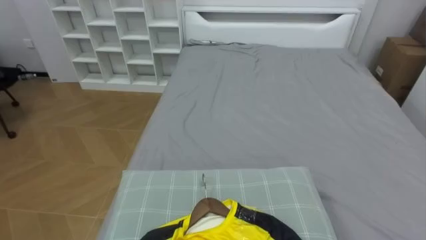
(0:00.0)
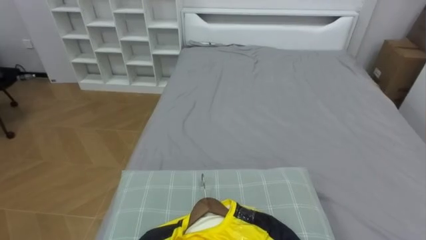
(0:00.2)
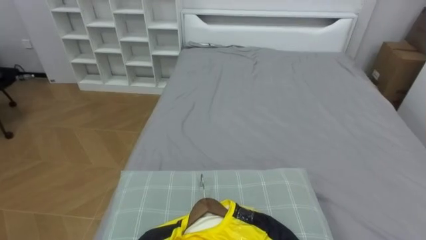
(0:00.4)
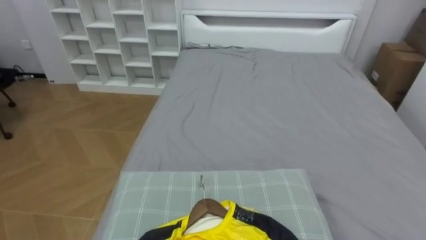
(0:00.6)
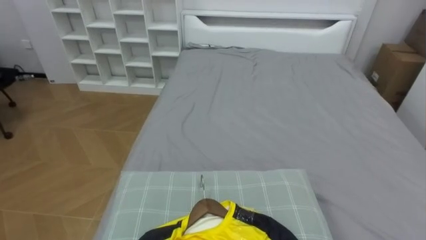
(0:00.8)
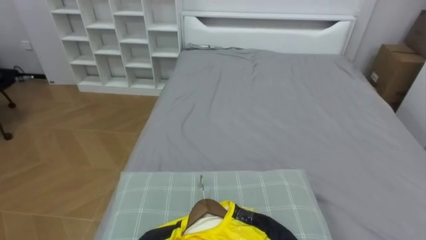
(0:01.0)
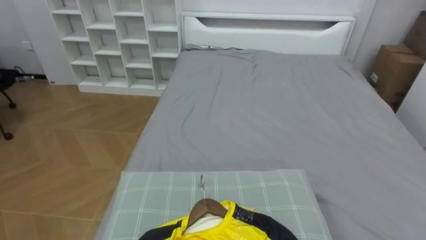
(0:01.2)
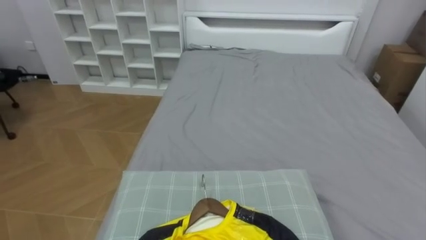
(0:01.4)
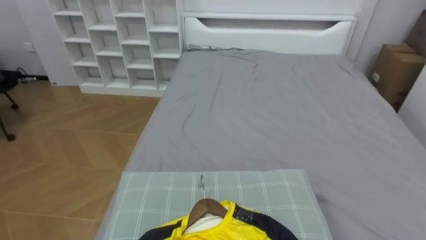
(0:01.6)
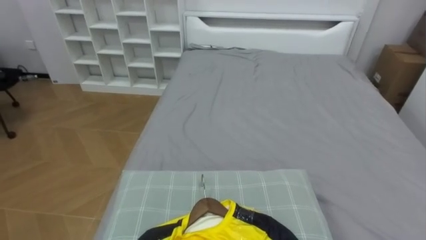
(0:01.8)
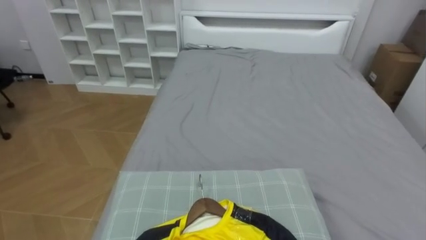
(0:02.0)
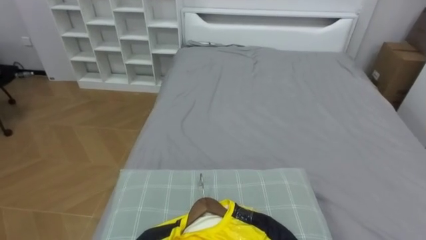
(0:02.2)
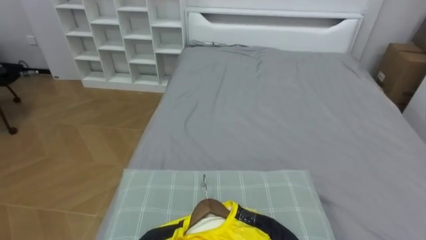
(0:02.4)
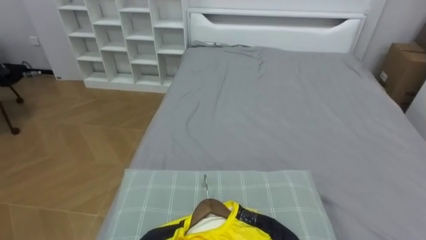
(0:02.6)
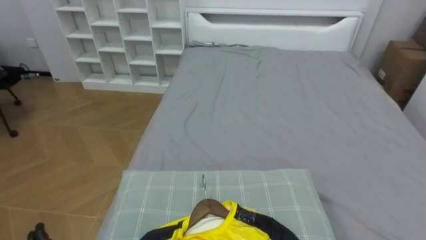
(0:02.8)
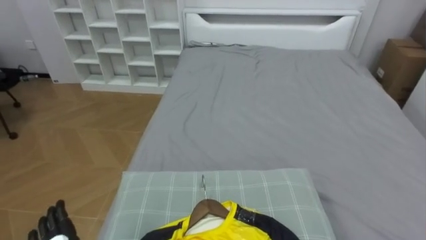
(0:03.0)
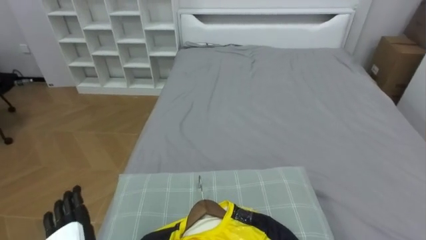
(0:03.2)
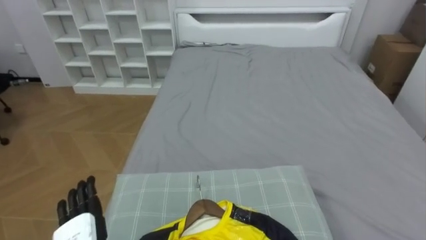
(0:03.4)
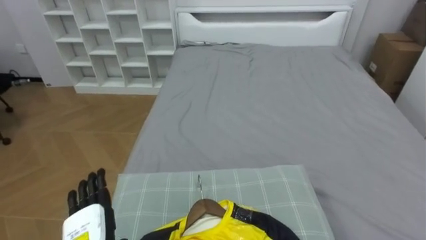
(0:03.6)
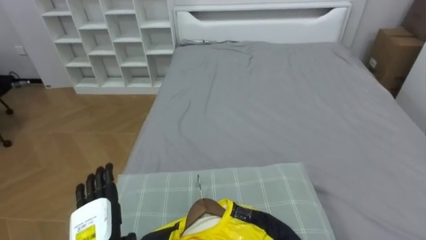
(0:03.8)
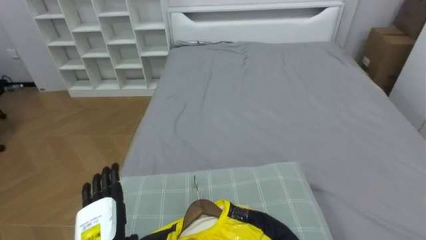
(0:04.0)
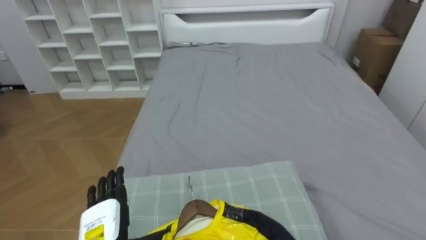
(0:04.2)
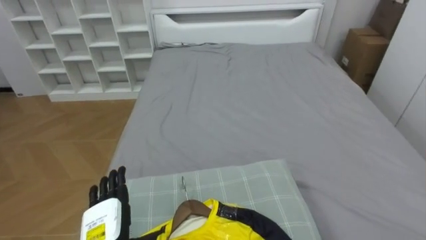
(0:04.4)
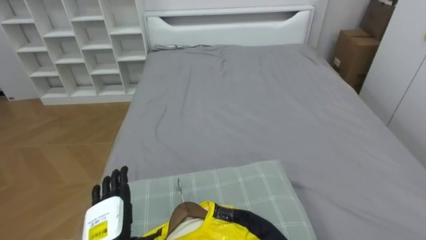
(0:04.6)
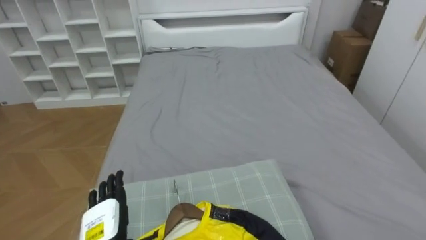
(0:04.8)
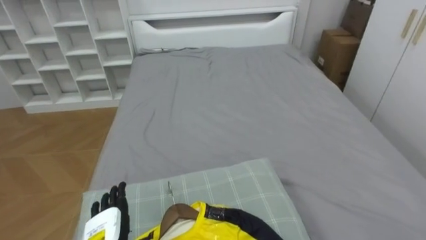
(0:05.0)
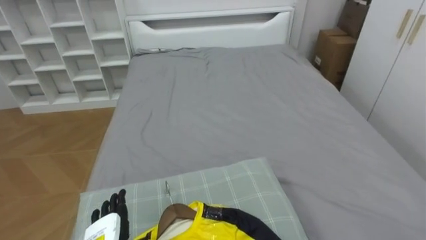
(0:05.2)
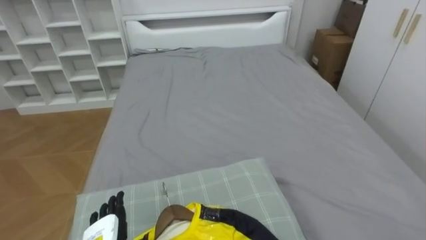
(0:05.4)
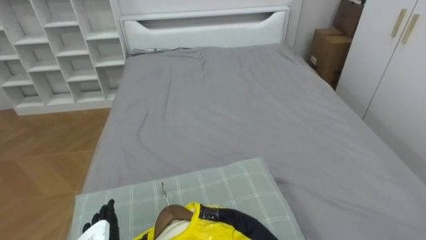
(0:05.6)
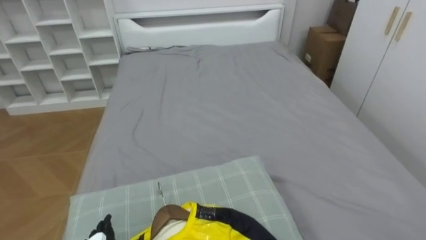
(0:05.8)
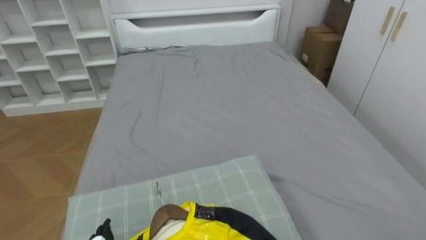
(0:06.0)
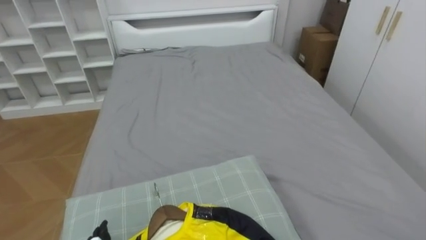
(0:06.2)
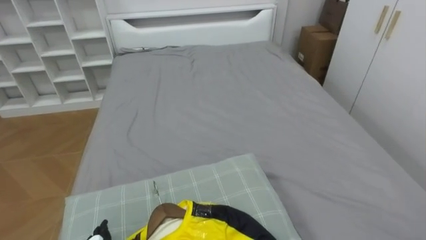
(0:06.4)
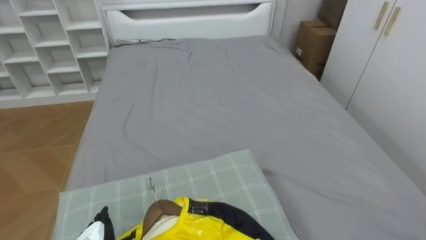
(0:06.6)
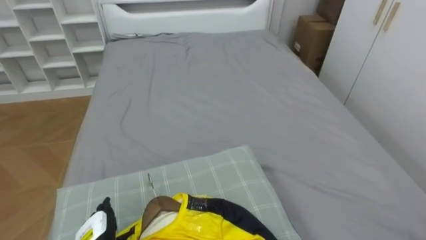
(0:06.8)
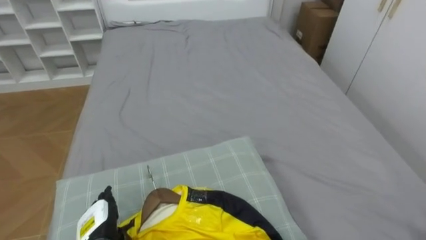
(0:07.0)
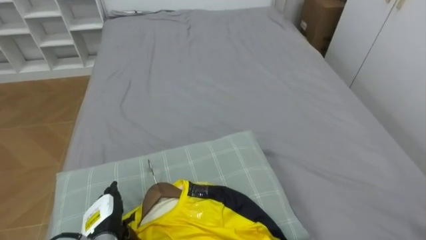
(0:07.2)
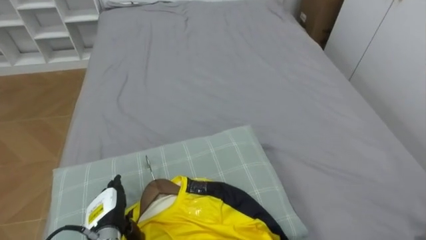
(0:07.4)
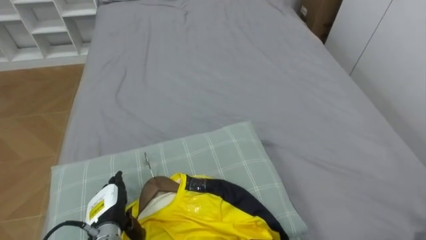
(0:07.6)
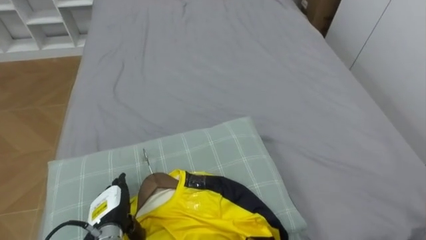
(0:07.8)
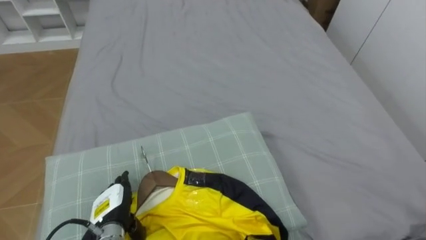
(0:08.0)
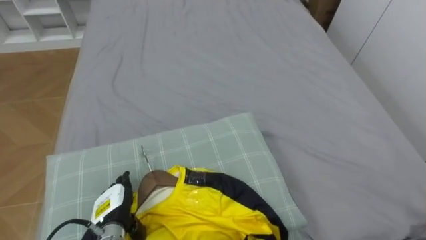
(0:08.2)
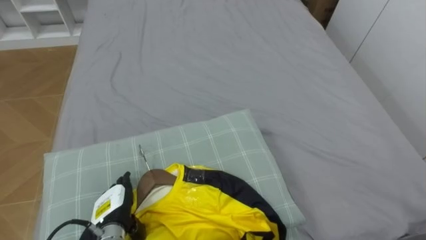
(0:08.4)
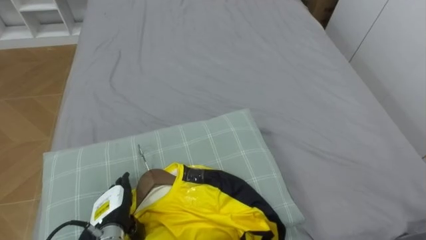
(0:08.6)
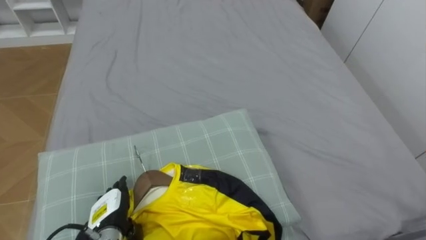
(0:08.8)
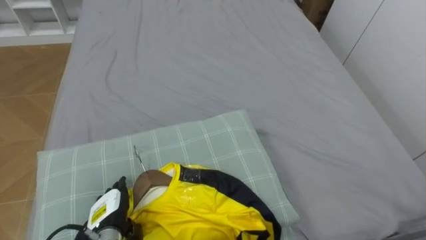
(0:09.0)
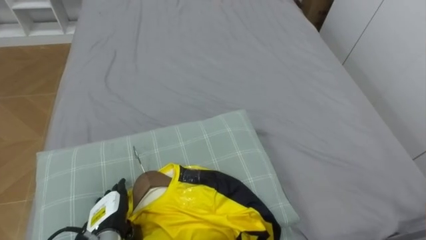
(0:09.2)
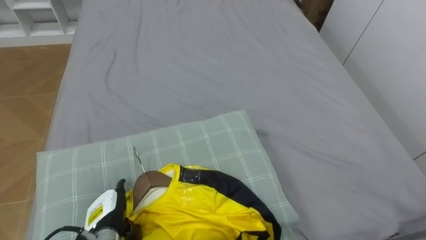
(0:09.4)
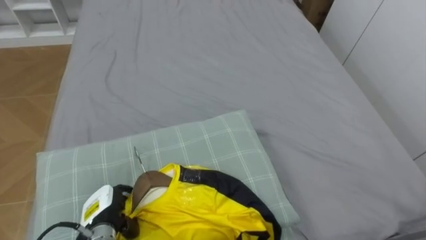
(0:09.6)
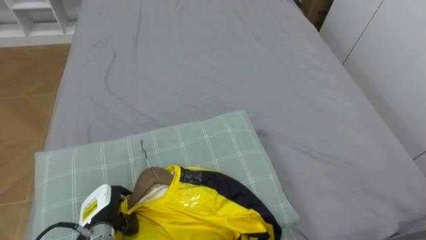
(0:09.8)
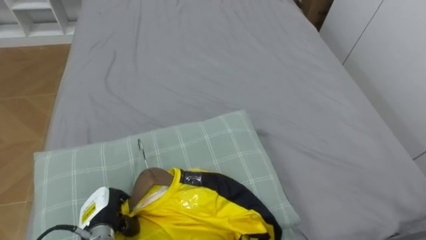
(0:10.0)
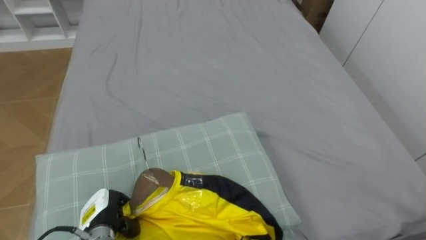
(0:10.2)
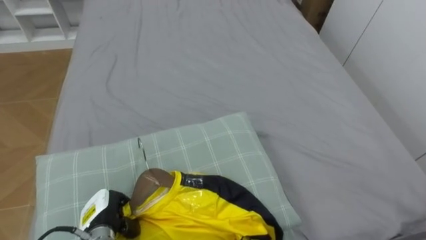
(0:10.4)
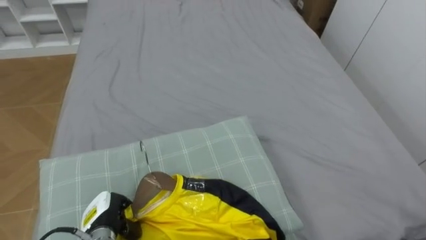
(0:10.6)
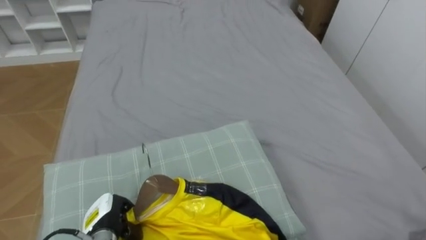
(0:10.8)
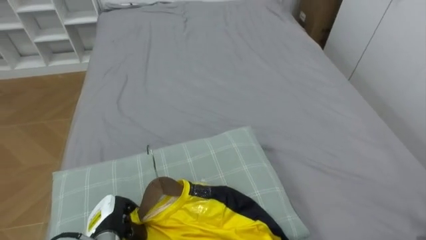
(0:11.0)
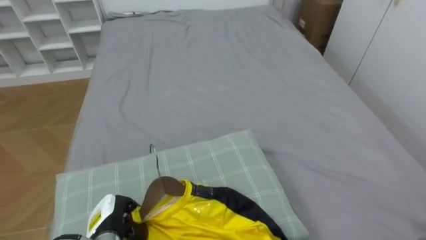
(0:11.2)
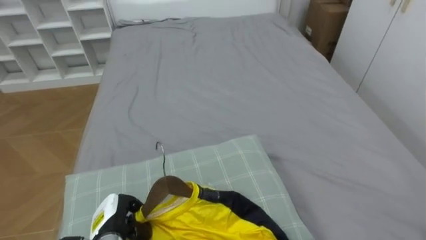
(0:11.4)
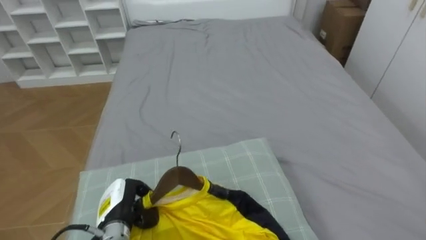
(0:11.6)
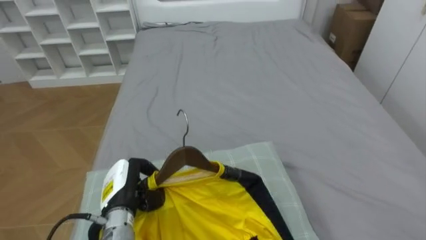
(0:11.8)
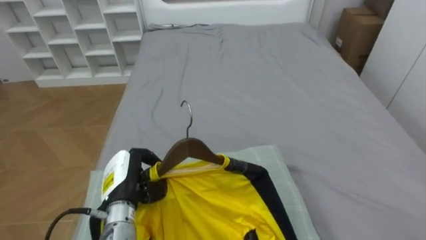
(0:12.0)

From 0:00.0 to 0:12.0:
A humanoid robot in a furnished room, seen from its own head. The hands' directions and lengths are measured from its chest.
Task of the whole recording: Pick up the yellow shirt on the bed and hang it on the clothes rack on the right.
From 0:09.0 to 0:10.4: The left hand closes its fingers.
From 0:10.4 to 0:12.0: The left hand goes some 10 cm upward and to the right.

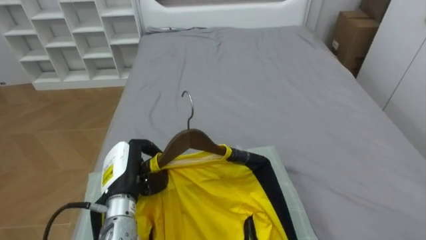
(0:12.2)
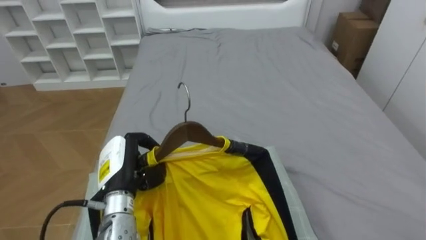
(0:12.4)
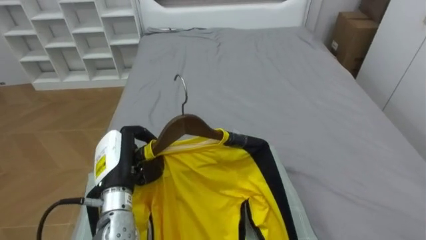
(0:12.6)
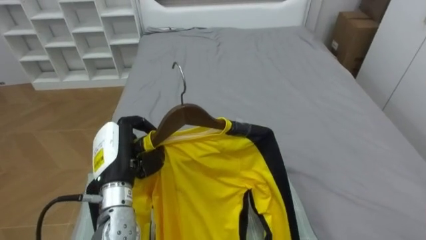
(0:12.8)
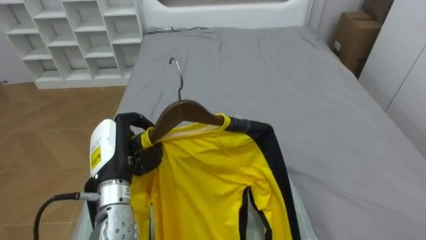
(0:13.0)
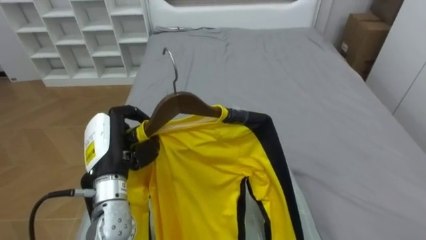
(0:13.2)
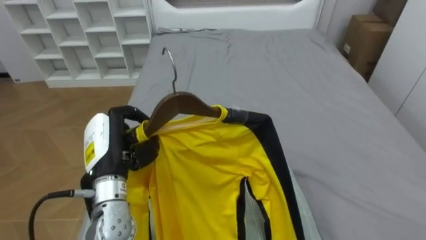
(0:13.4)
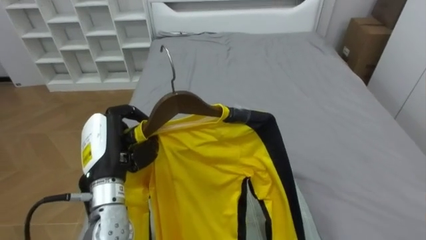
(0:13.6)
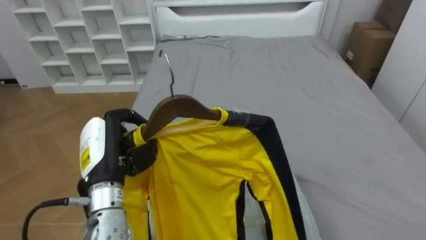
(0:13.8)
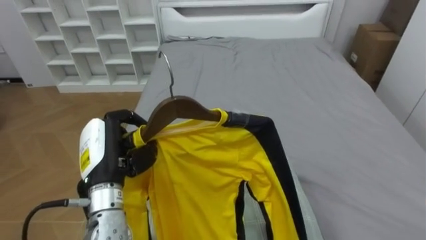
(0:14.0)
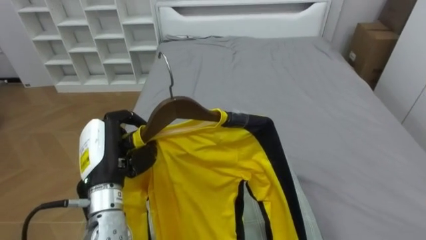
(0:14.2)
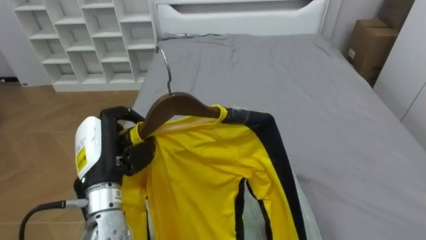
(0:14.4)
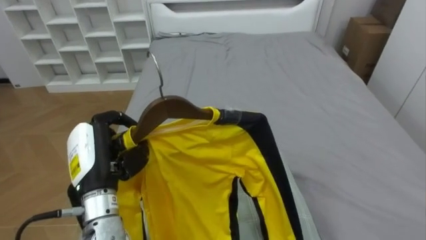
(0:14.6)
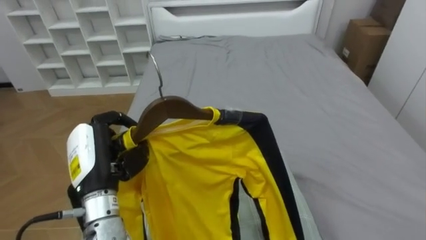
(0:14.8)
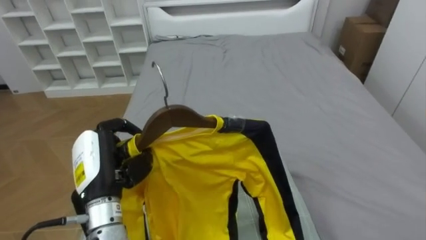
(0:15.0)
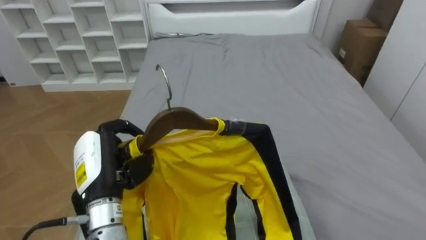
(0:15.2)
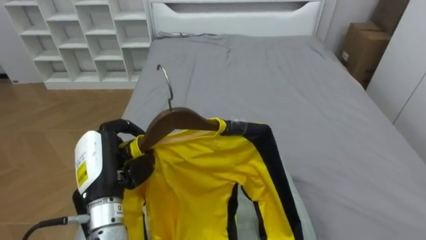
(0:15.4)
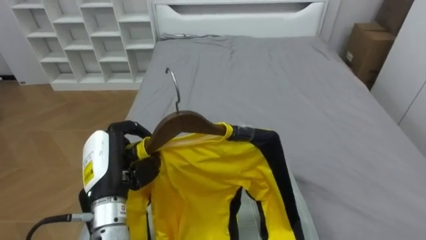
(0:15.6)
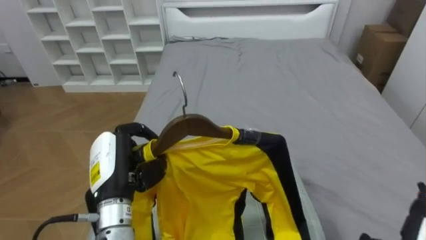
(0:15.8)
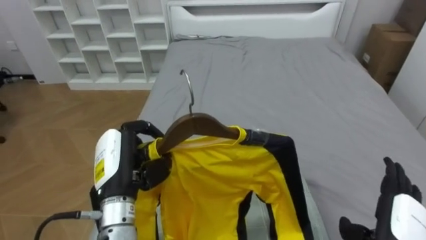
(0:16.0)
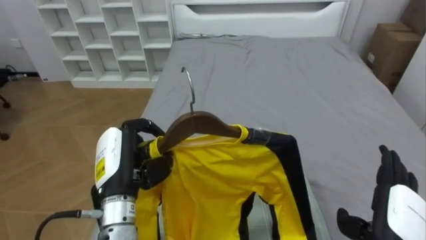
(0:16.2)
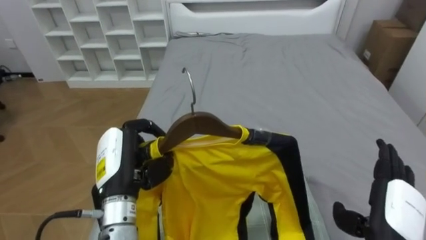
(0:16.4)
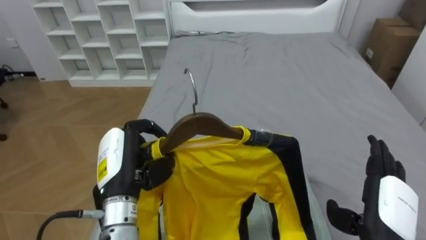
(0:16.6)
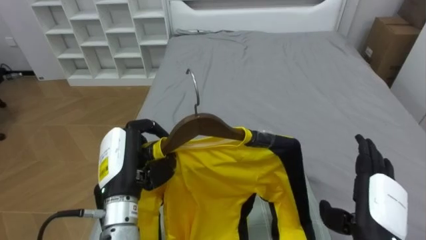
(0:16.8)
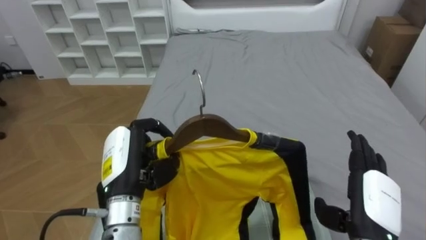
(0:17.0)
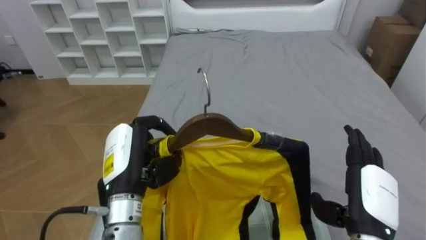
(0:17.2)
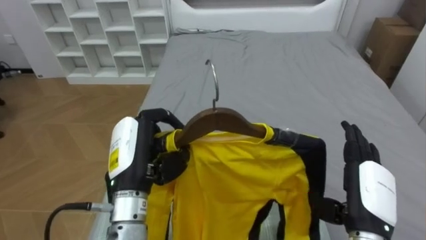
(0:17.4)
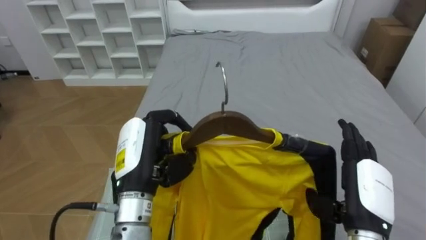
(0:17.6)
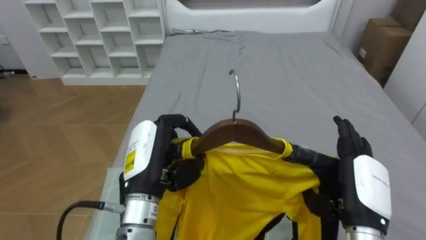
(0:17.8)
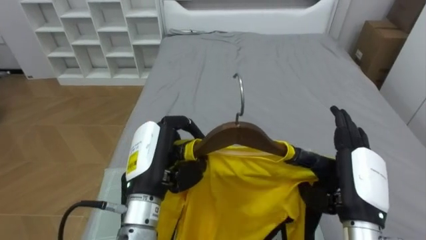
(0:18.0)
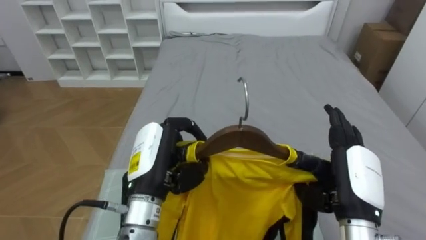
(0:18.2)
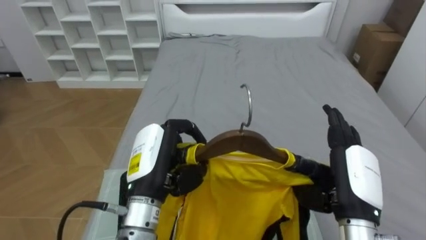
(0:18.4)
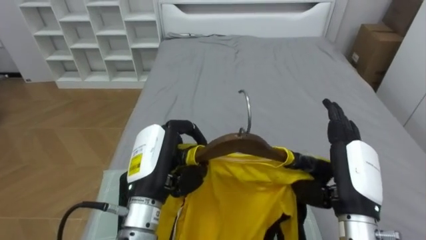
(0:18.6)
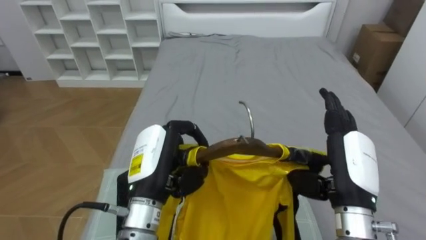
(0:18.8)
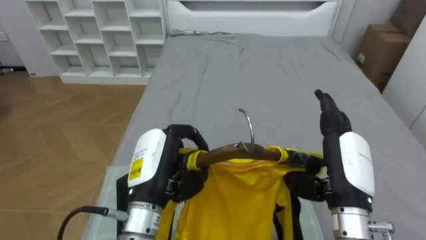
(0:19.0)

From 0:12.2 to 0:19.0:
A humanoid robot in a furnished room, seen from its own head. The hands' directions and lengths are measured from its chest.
Task of the whole recording: Pick up the yellow shirt on the bed and hang it on the clothes rack on the right.
From 0:12.2 to 0:13.6: The left hand goes approximately 10 cm upward.
From 0:16.2 to 0:17.6: The right hand heads to the left, covering about 5 cm.
From 0:17.6 to 0:19.0: The right hand ends up some 5 cm from where it was.
